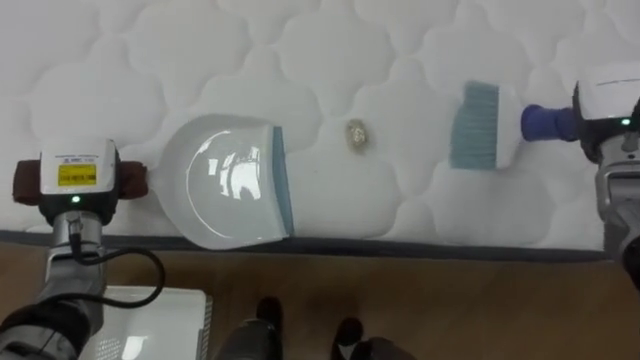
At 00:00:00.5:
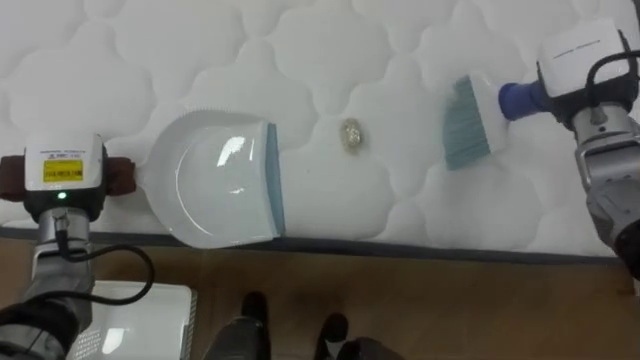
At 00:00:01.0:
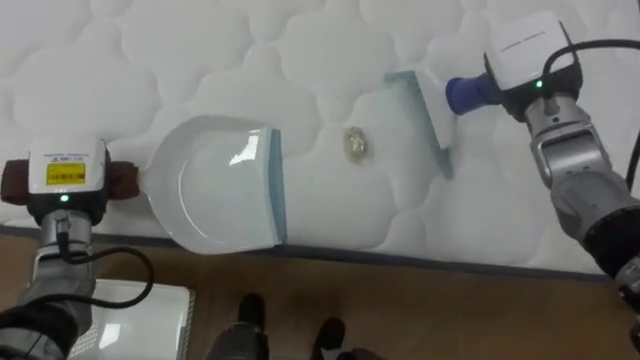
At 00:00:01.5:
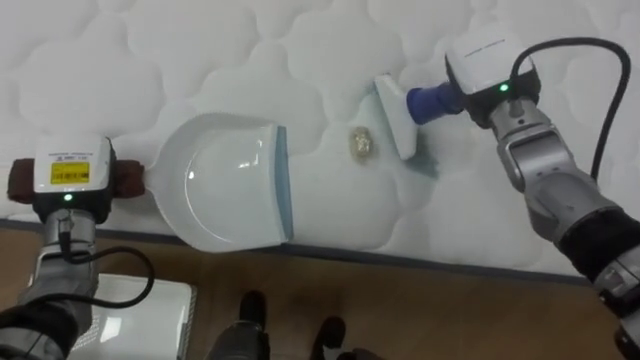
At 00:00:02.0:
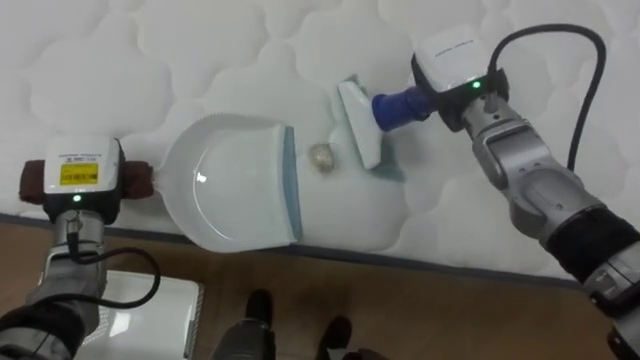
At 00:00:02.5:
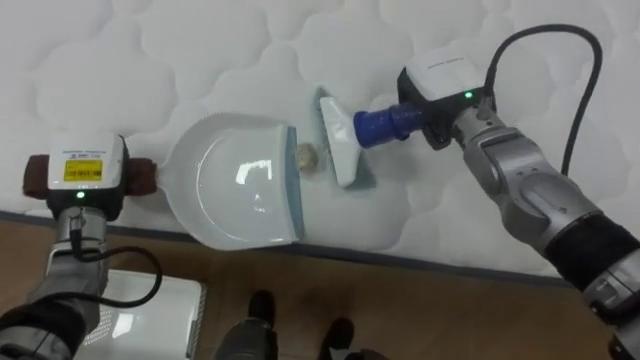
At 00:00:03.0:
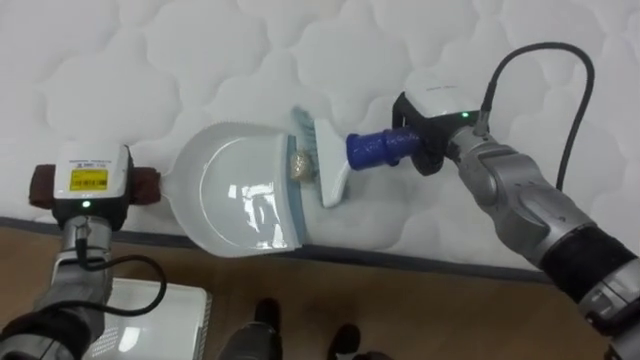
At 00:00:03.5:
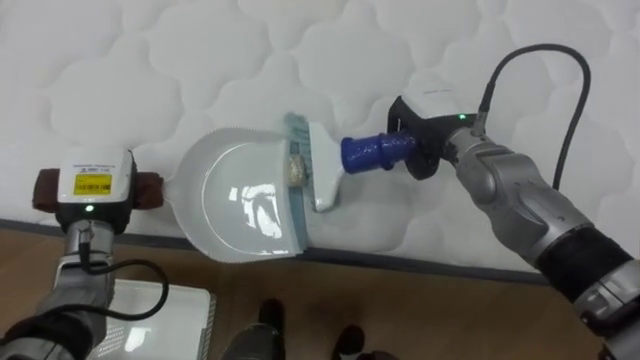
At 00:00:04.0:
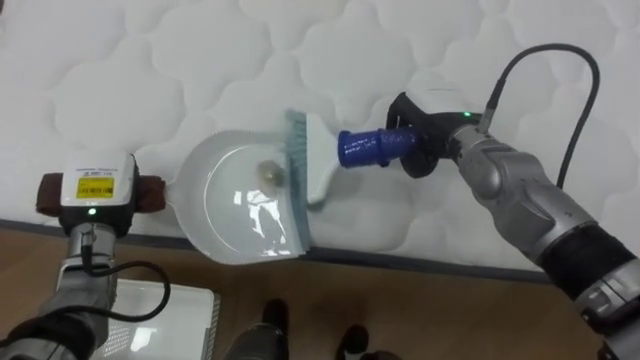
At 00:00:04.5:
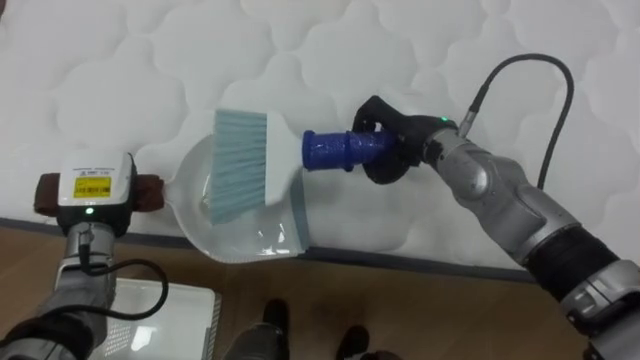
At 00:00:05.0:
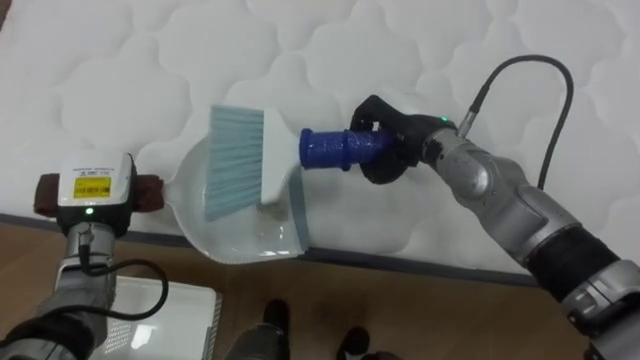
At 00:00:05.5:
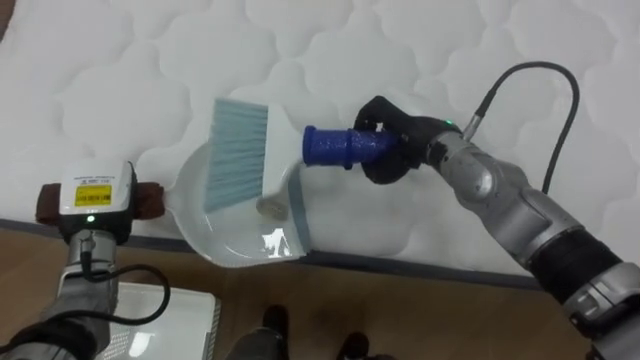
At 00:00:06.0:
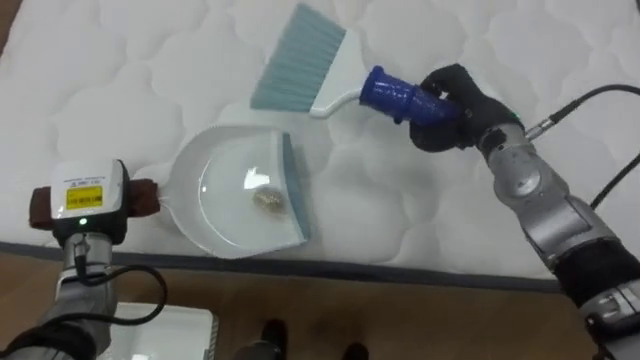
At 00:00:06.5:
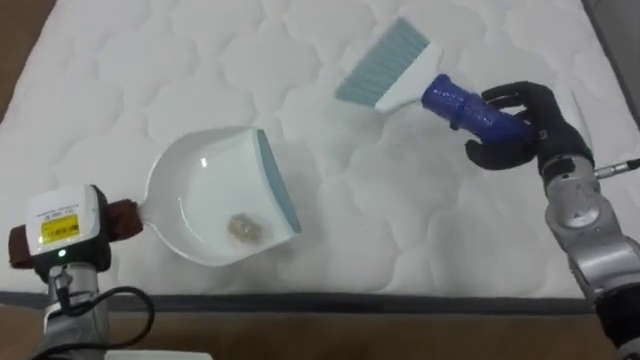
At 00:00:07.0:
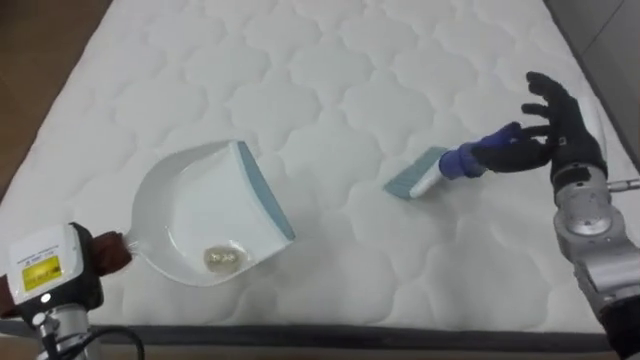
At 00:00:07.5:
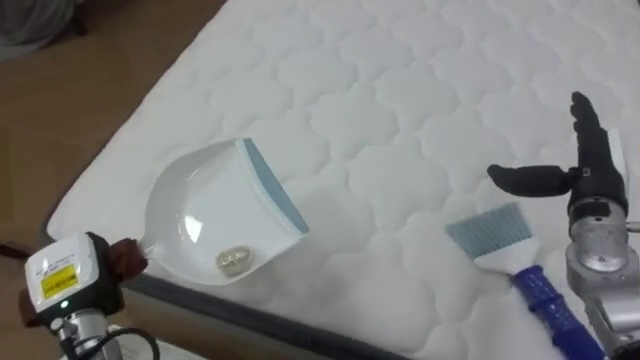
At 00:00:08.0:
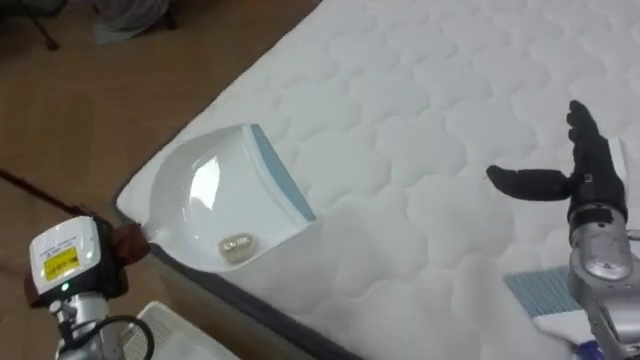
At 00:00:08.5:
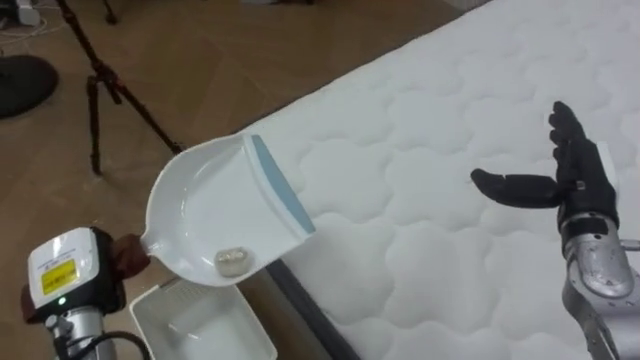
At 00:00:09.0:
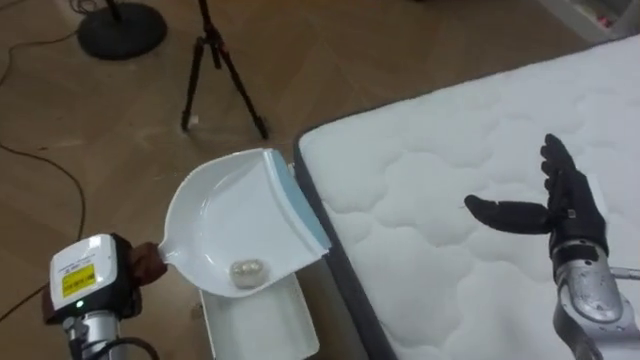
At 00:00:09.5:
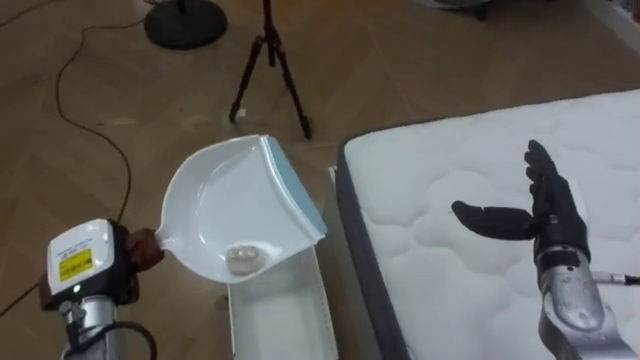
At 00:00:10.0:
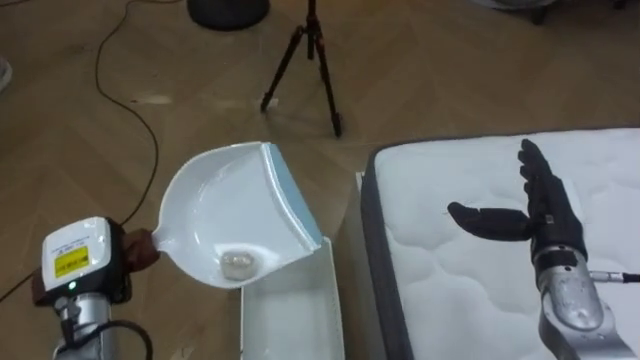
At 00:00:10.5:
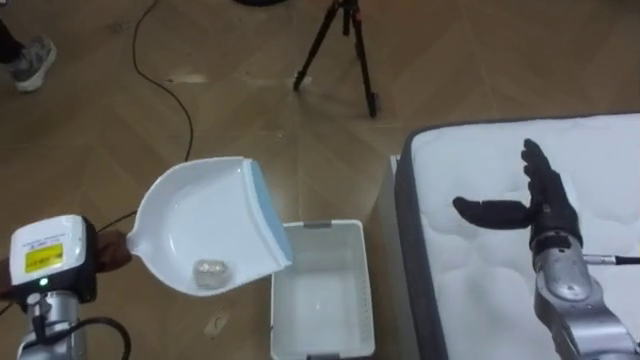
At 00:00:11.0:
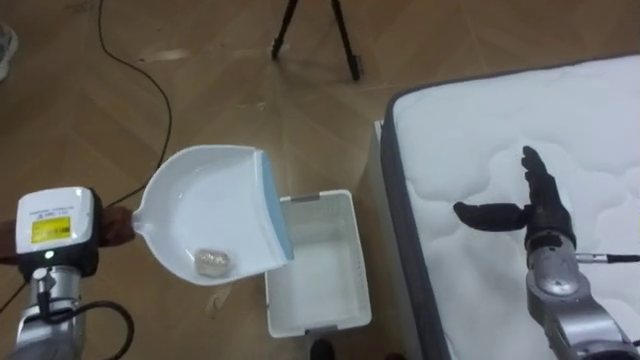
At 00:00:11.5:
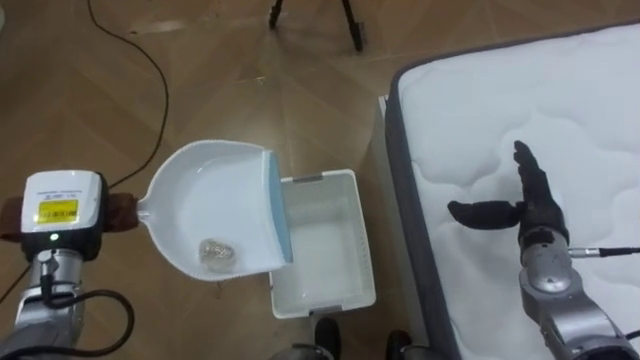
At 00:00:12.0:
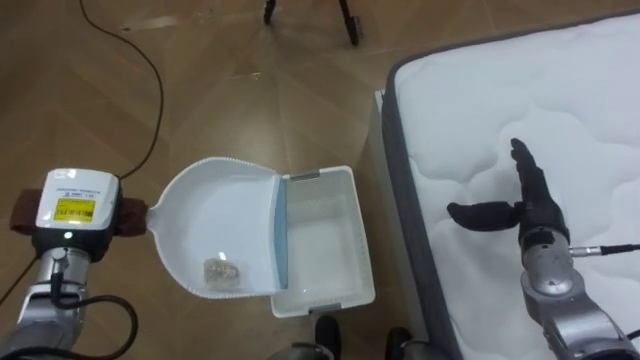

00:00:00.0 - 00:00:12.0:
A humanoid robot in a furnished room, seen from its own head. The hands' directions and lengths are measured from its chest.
Task of the whole recording: Pick up the brush on your right and the dustpan on your left. Use the brush to sweep the crumpled paper on the bed into the dustpan, then turn left and empty it into the basket.
00:00:00.0 - 00:00:02.0: The right hand heads to the left, covering some 20 cm.
00:00:02.0 - 00:00:04.0: The right hand shifts by some 5 cm.
00:00:04.0 - 00:00:06.0: The right hand is displaced to the right by about 5 cm.
00:00:06.0 - 00:00:08.0: The robot's body swings about 30 degrees to its left. The right hand moves to the right and backward, approximately 15 cm, and opens its fingers; the left hand heads backward, covering approximately 10 cm.
00:00:08.0 - 00:00:10.0: The robot turns to its left by about 55 degrees. The right hand moves about 5 cm.
00:00:10.0 - 00:00:12.0: The left hand shifts by some 5 cm.

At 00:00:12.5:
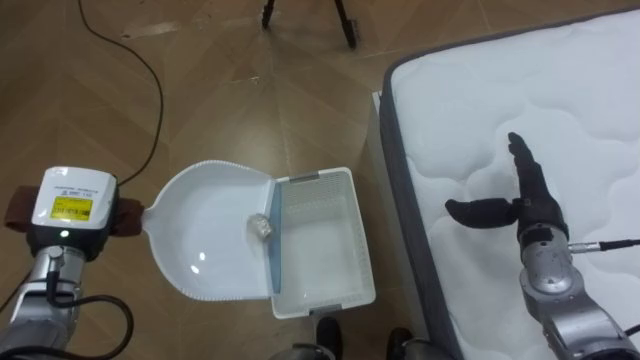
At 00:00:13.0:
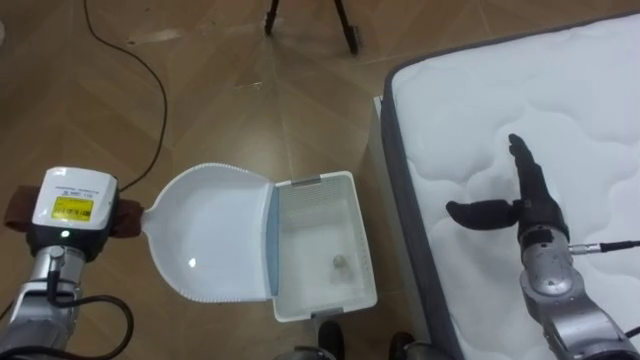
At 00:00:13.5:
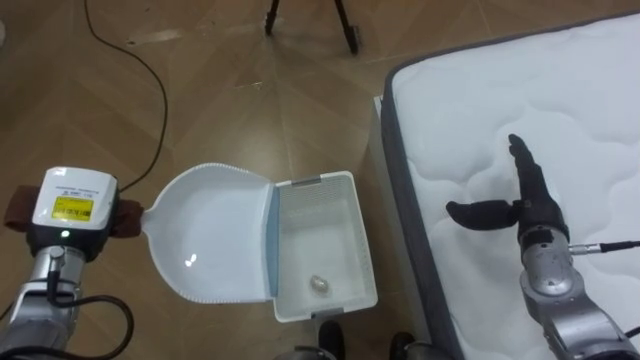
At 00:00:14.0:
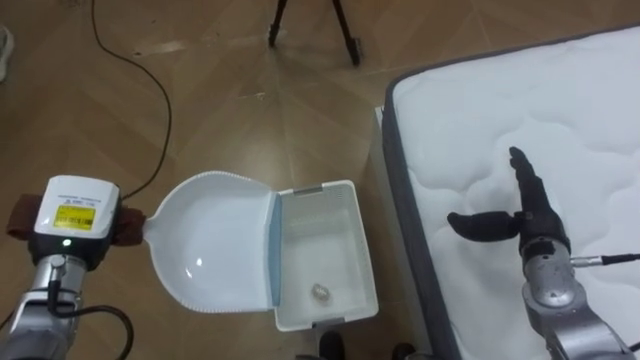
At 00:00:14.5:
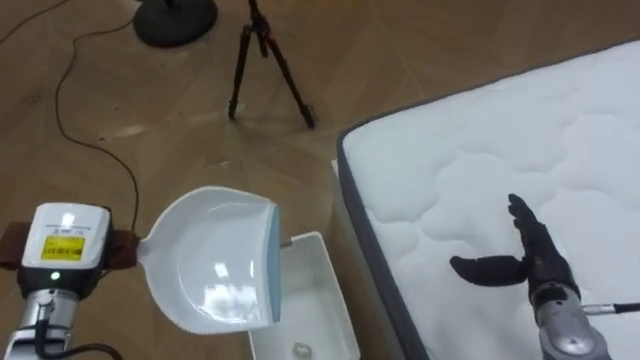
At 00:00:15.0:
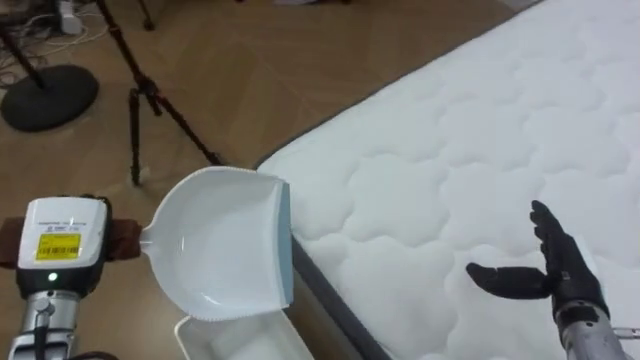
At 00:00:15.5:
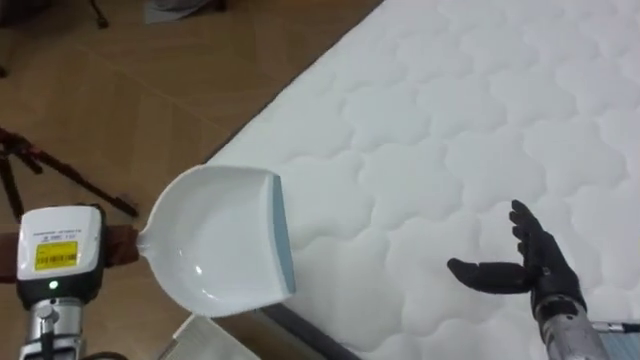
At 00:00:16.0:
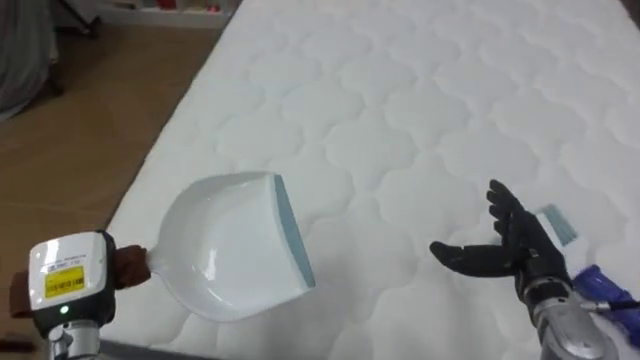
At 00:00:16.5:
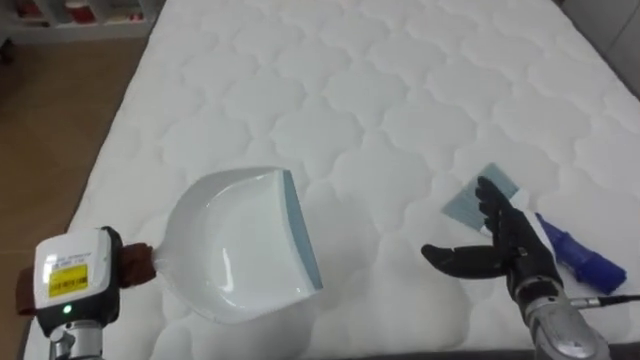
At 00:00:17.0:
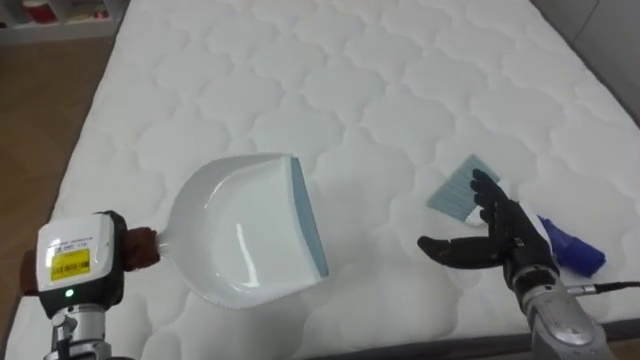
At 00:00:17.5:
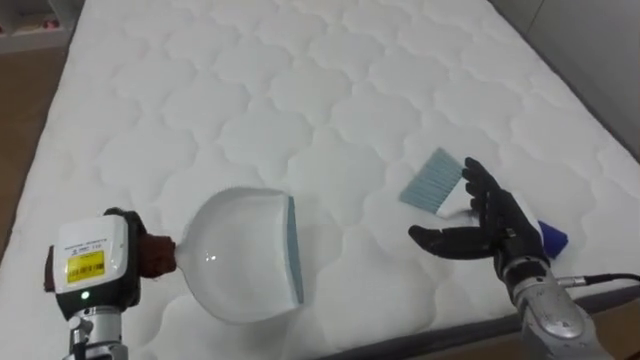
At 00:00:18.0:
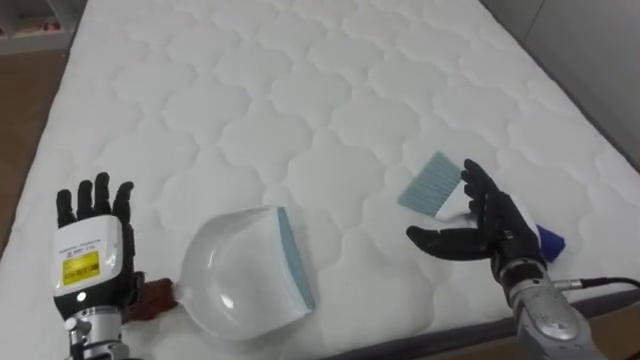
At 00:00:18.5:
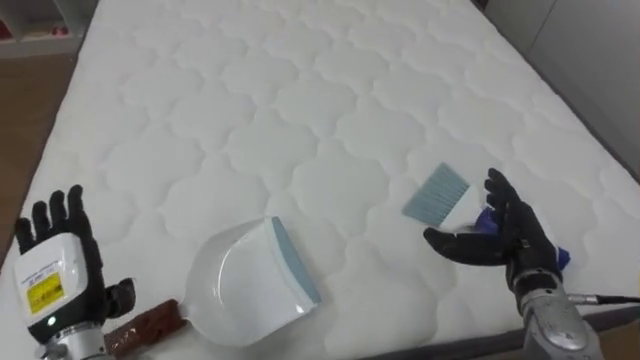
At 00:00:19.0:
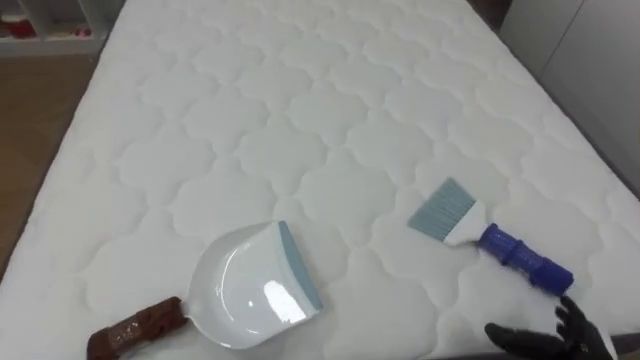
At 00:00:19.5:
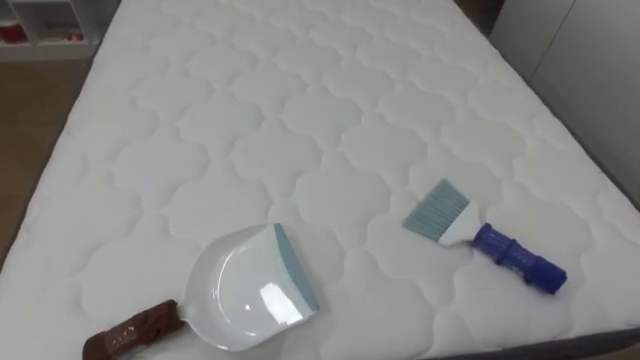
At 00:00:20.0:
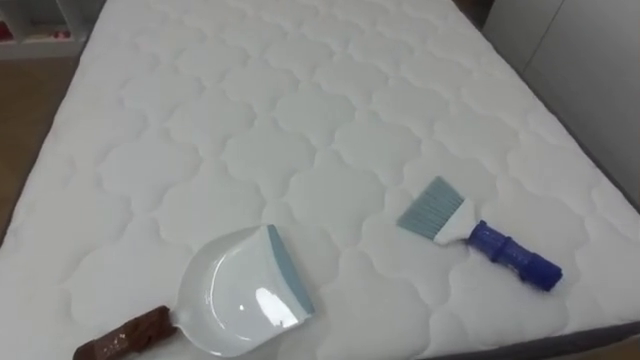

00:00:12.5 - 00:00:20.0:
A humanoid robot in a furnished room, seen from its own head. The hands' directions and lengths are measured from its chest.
Task of the whole recording: Pick up the brush on your right and the dustpan on your left. Use the brush to sweep the crumpled paper on the bed into the dustpan, then turn left and empty it into the basket.
00:00:12.5 - 00:00:14.5: The right hand travels backward by about 5 cm.
00:00:14.5 - 00:00:16.5: The robot rotates about 75 degrees to its right.
00:00:16.5 - 00:00:18.0: The left hand opens its fingers.
